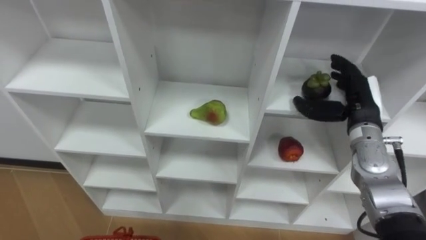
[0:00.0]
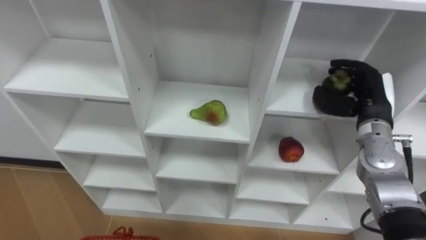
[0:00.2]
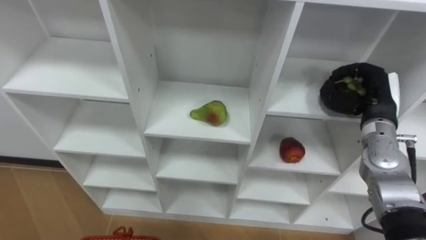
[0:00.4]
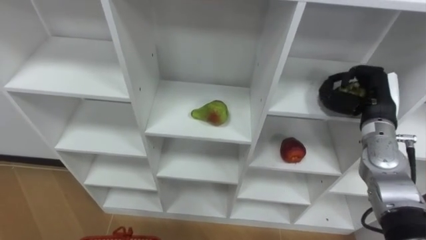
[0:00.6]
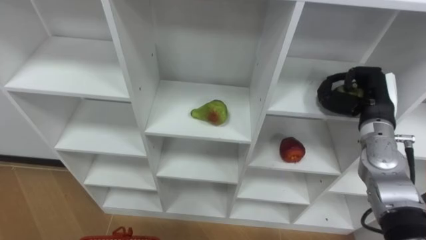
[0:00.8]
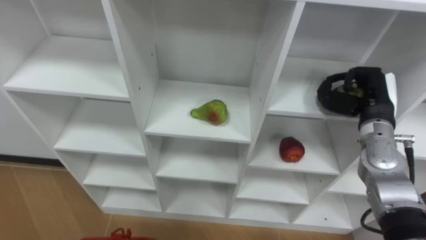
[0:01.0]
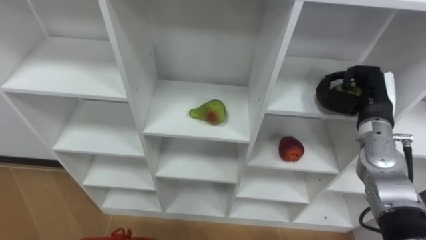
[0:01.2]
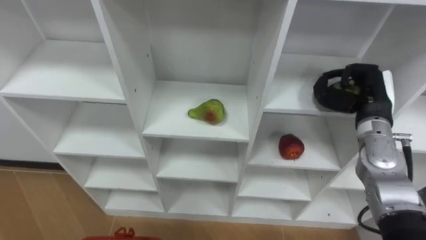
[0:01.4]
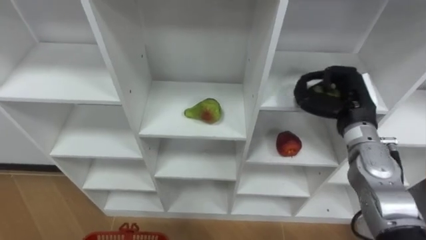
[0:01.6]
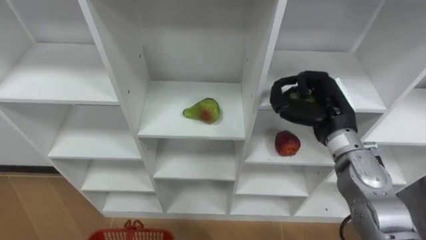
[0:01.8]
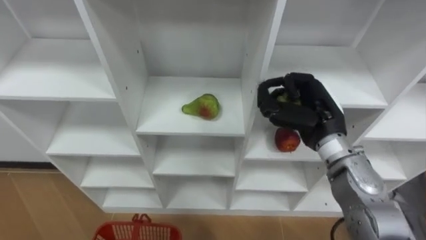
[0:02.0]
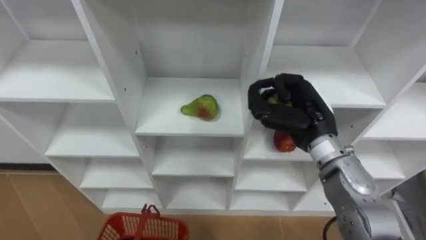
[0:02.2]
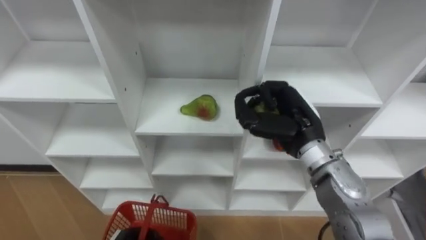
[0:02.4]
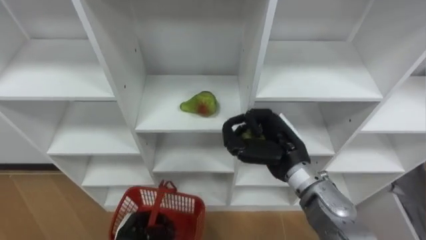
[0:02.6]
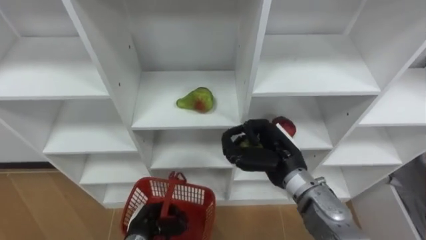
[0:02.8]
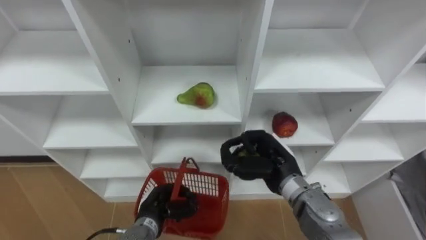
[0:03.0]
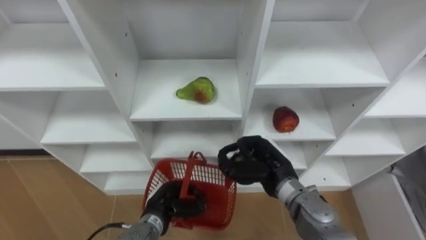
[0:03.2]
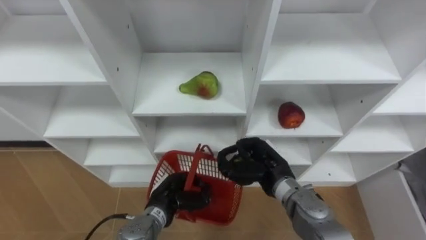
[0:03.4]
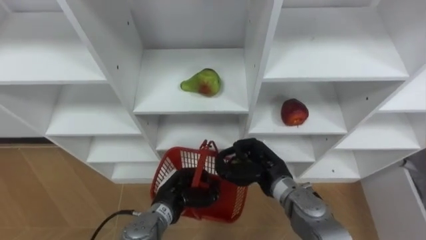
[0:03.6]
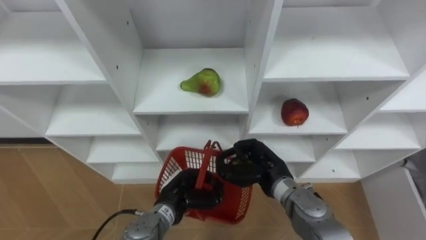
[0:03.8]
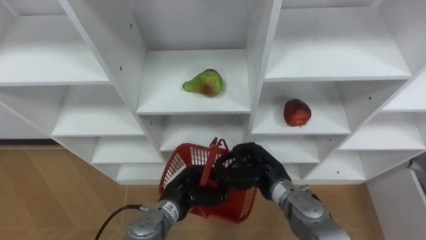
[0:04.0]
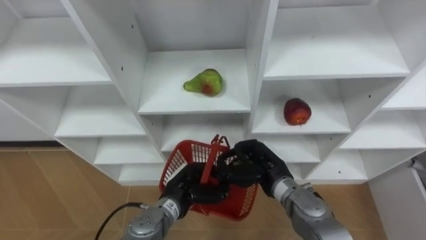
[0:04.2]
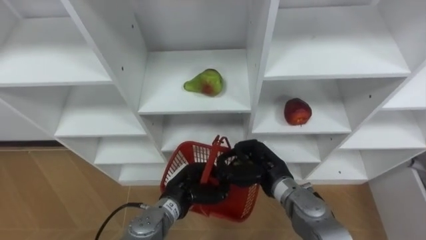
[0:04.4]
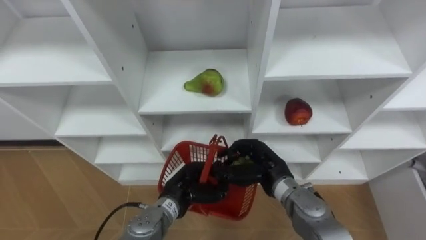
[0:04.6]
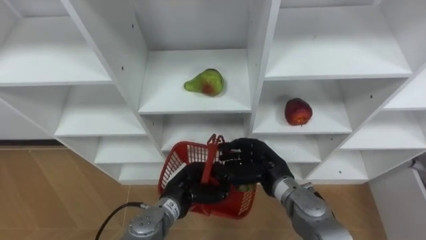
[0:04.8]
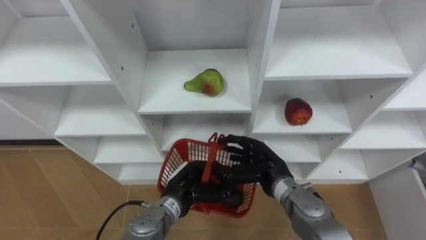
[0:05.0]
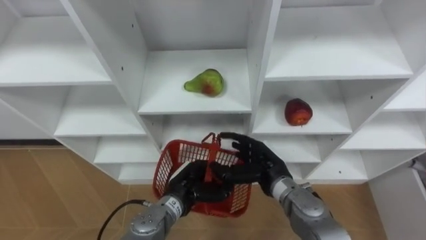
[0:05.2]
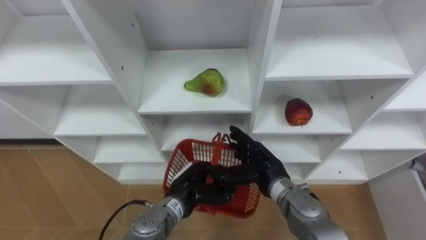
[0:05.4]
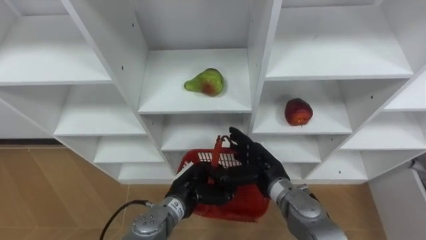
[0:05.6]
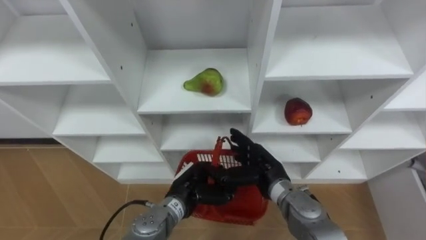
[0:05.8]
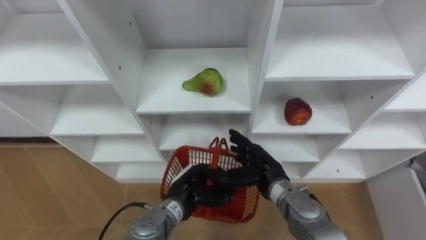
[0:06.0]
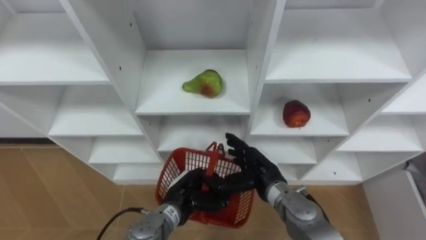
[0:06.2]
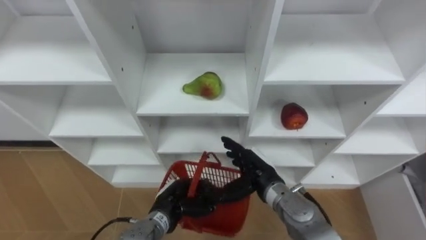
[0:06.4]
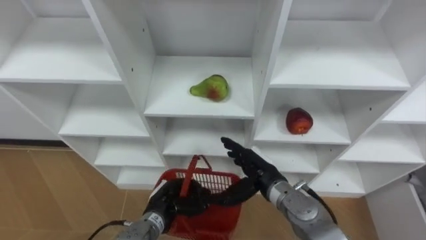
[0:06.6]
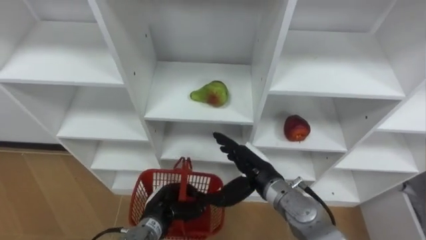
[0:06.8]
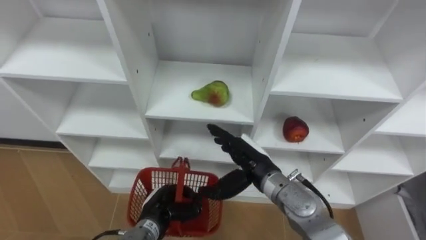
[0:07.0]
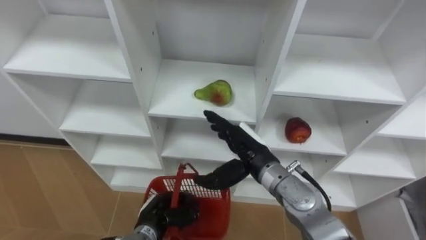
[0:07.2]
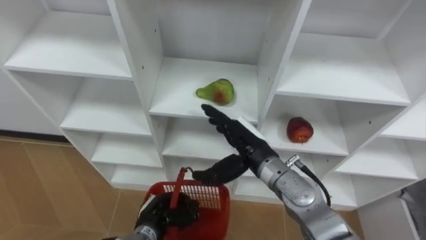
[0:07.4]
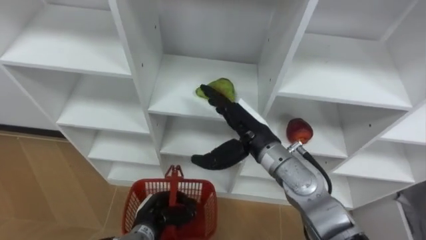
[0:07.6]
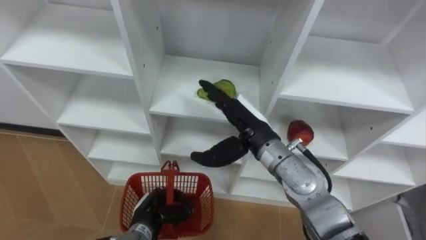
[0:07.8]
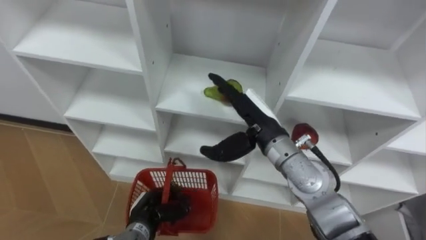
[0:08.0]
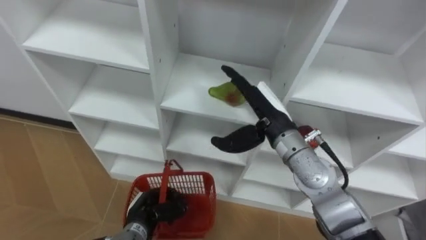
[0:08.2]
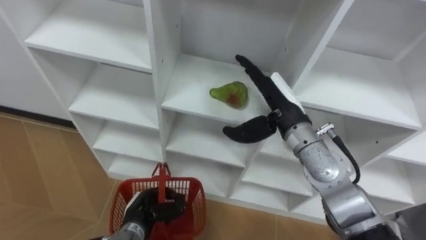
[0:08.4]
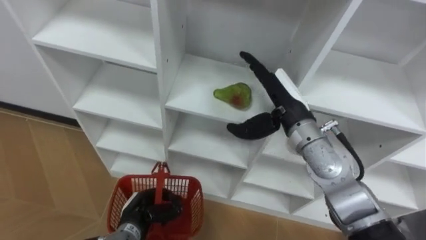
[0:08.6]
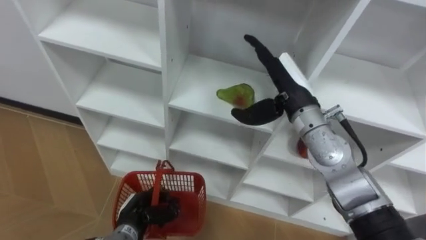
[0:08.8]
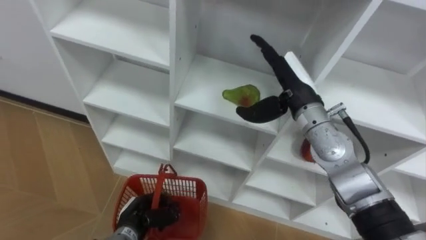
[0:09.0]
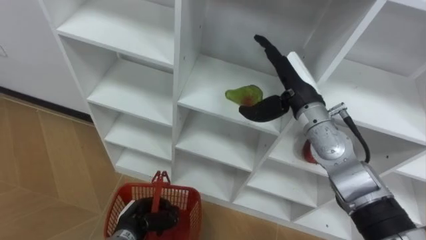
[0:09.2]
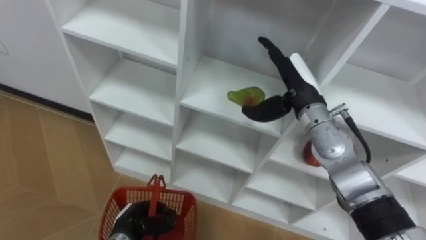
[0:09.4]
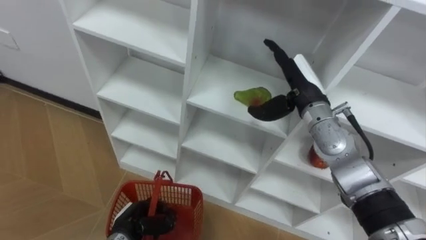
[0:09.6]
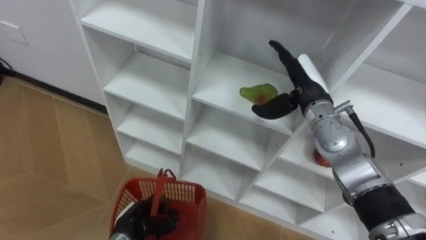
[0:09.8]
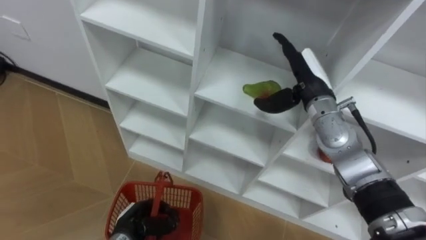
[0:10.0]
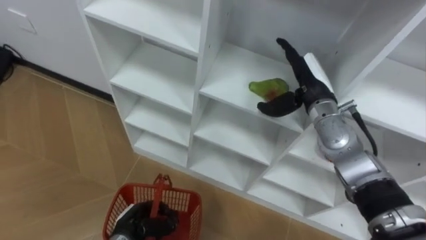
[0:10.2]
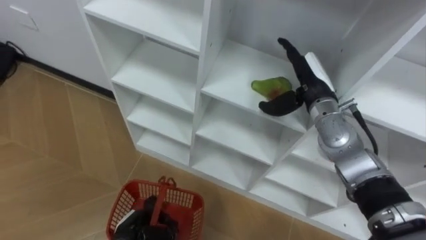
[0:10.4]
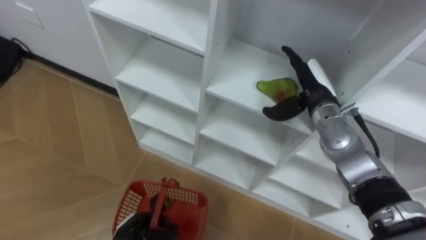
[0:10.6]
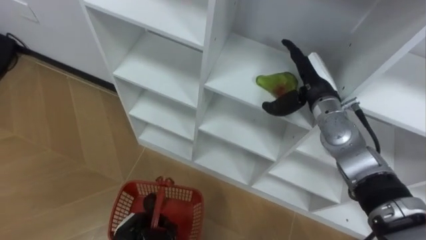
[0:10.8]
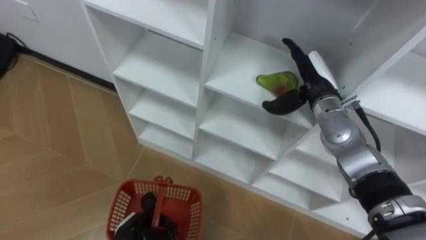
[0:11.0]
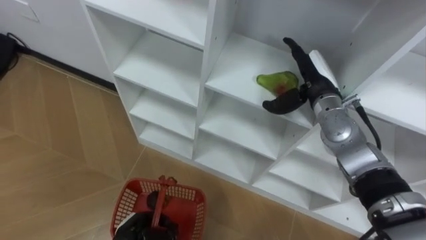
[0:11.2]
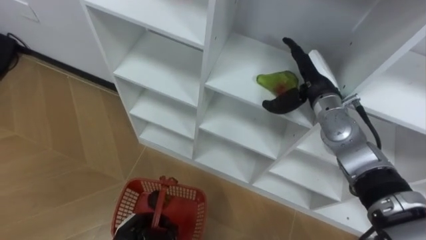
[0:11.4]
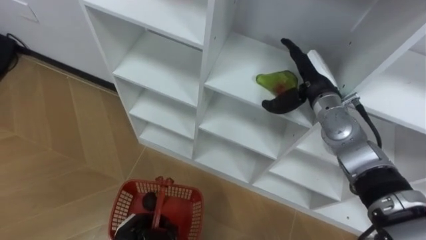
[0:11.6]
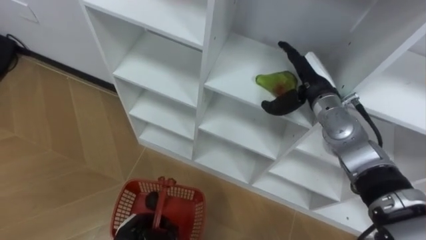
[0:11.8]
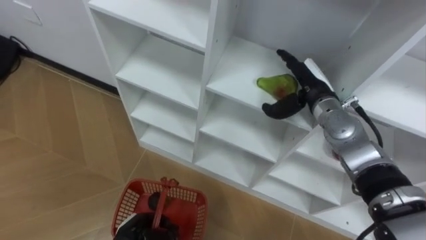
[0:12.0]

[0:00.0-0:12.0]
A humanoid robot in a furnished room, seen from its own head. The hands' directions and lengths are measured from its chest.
Task of the whole recording: Hold the basket and collect the fruits from 3 different cells of the closet into it.
0:00.0 to 0:01.6: The right hand closes its fingers.
0:01.6 to 0:03.0: The right hand is displaced to the left, downward and backward by approximately 15 cm.
0:03.0 to 0:04.4: The left hand heads to the right and upward, covering about 10 cm.
0:04.4 to 0:06.0: The right hand opens.
0:06.0 to 0:07.6: The left hand is displaced to the left and downward by roughly 10 cm. The right hand goes roughly 10 cm upward.
0:07.6 to 0:09.0: The right hand shifts about 10 cm to the right, forward and upward.
0:09.0 to 0:10.4: The right hand moves approximately 5 cm.

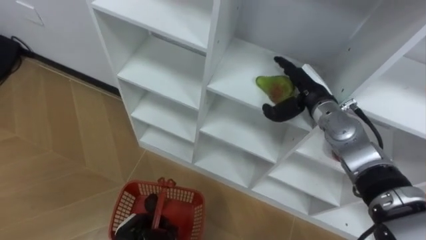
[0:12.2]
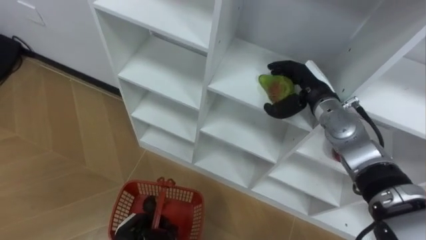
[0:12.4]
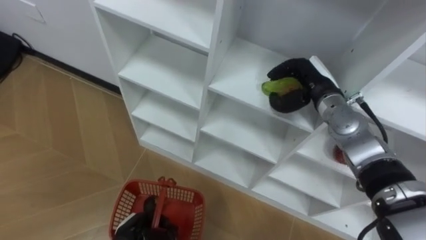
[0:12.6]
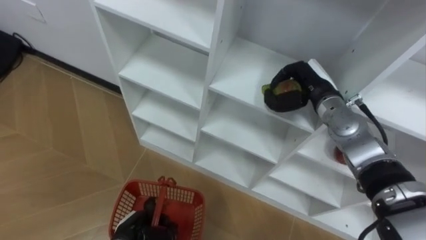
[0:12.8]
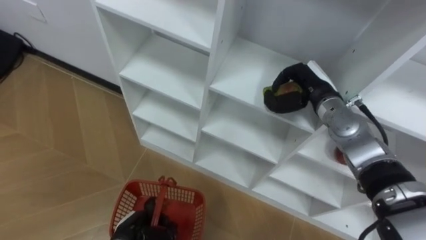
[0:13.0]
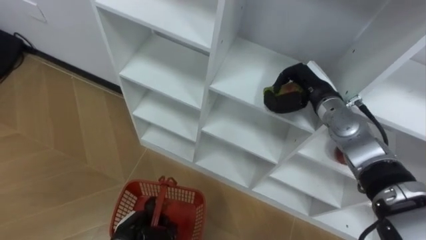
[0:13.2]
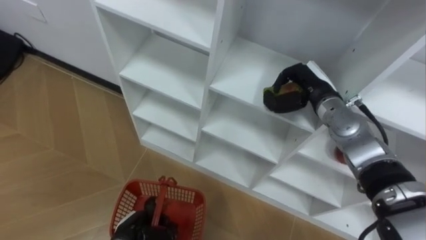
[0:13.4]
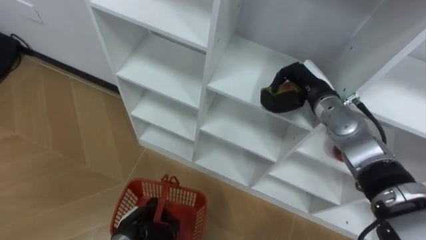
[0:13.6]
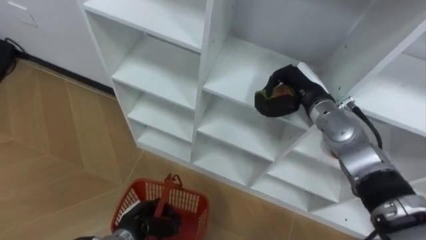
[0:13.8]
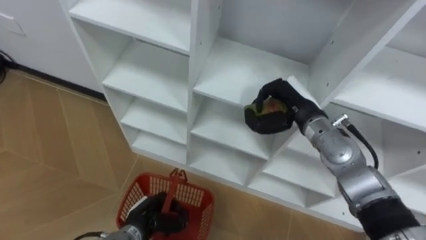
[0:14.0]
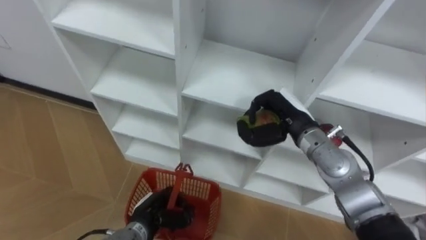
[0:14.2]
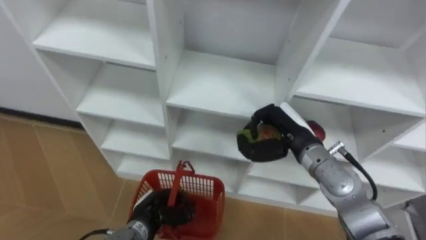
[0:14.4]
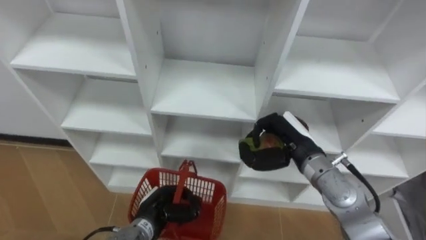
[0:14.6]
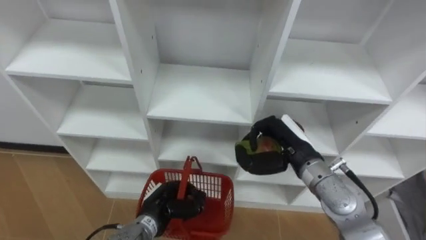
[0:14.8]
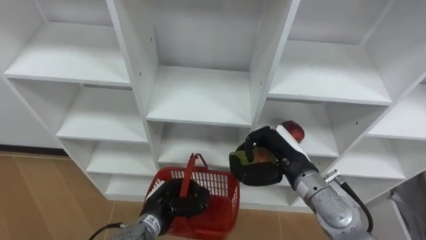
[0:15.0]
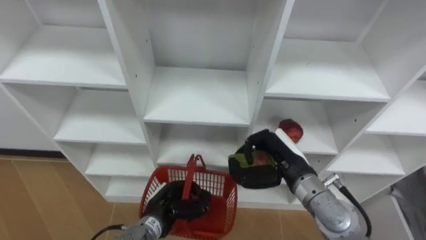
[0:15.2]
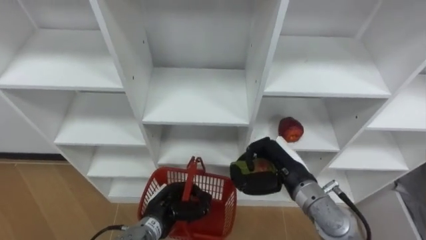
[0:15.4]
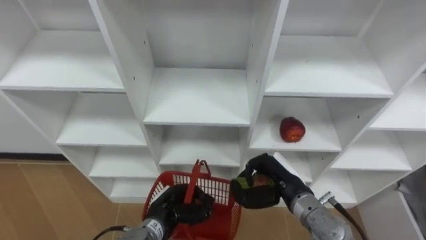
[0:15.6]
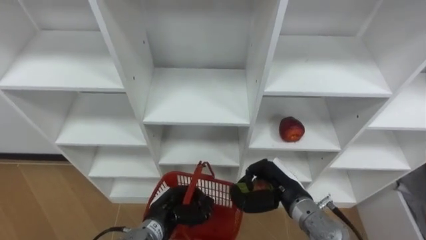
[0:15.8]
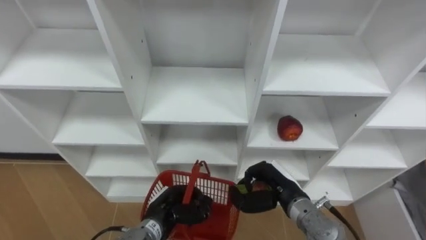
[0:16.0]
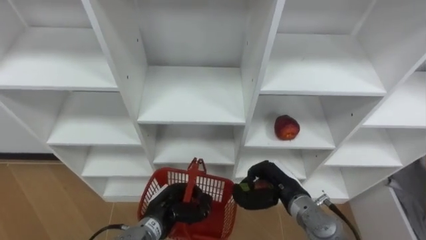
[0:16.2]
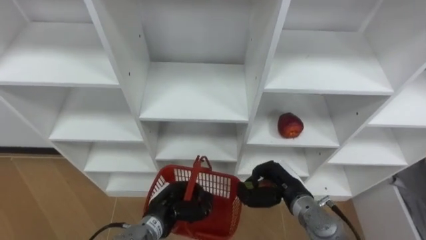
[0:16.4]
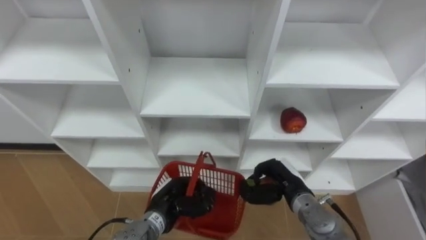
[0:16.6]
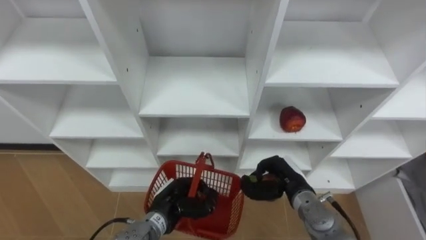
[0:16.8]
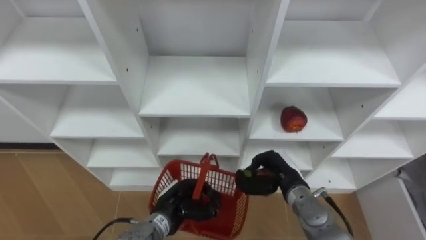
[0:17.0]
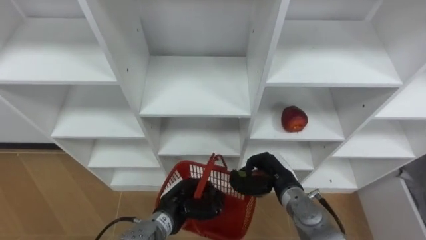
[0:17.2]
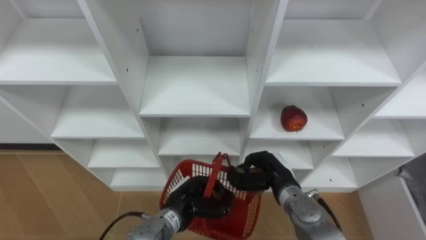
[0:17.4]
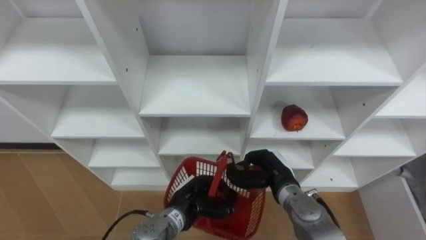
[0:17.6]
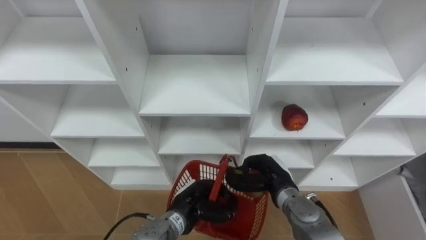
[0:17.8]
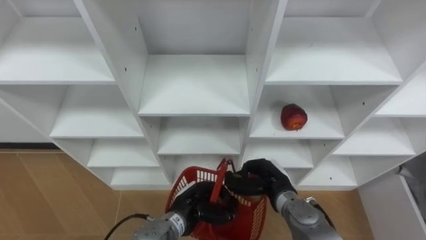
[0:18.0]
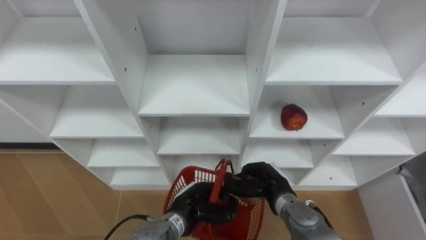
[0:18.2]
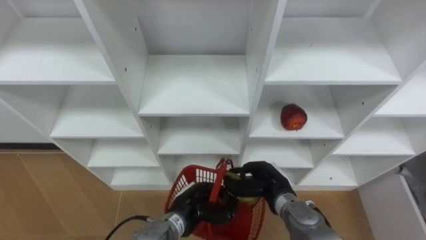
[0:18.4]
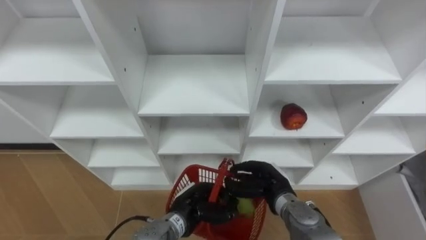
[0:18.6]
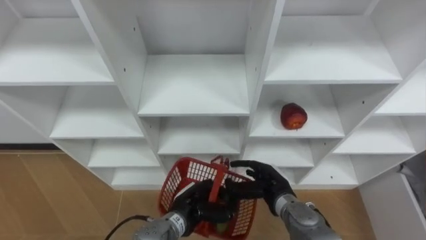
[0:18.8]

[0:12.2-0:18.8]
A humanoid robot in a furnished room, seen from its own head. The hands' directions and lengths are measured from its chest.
Task of the whole recording: Hold the basket and collect the fruits from 3 different cells of the closet into it.
0:12.2 to 0:13.8: The right hand closes its fingers.
0:13.8 to 0:15.4: The left hand shifts about 5 cm to the right, while the right hand travels backward and downward by approximately 15 cm.
0:15.4 to 0:17.2: The right hand travels downward by some 5 cm.
0:17.2 to 0:18.8: The right hand opens its fingers.
